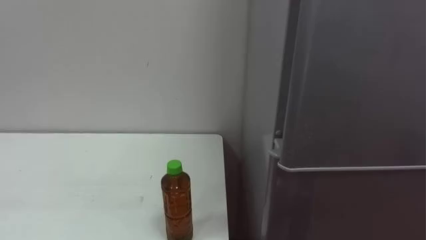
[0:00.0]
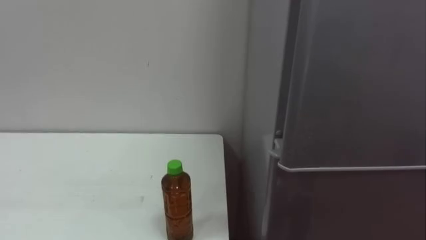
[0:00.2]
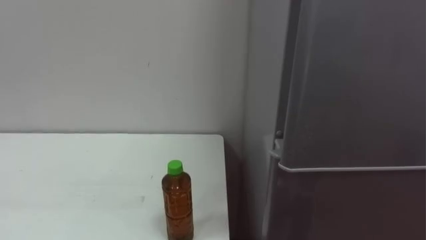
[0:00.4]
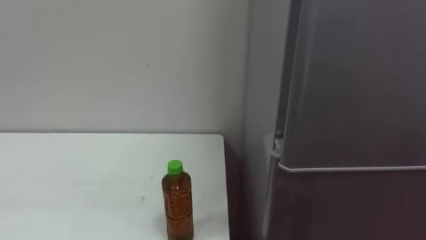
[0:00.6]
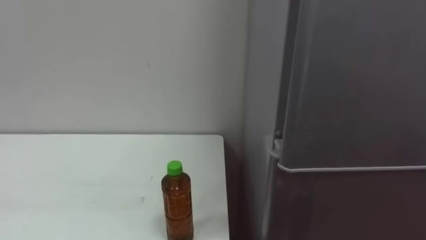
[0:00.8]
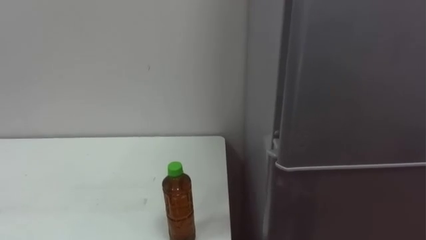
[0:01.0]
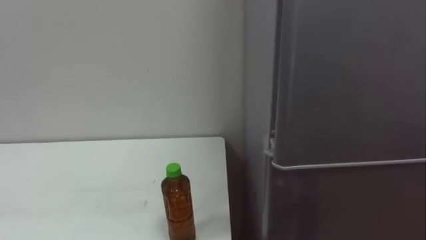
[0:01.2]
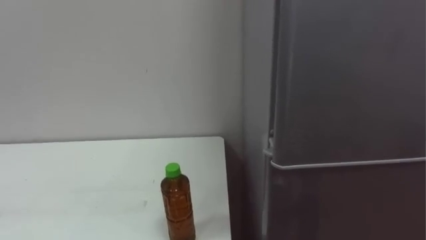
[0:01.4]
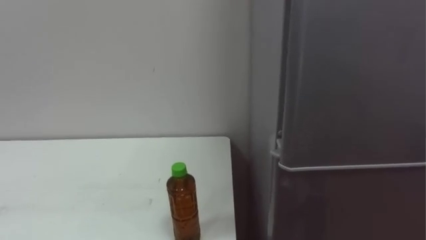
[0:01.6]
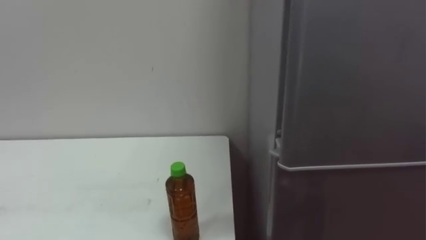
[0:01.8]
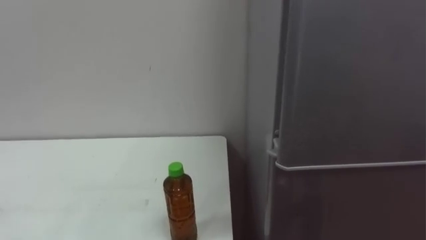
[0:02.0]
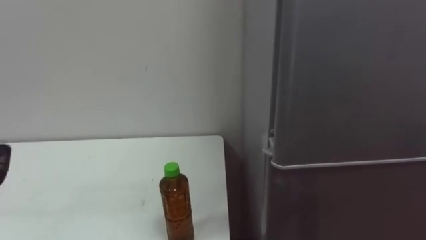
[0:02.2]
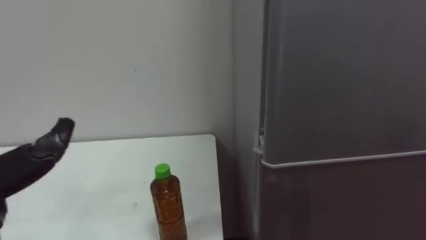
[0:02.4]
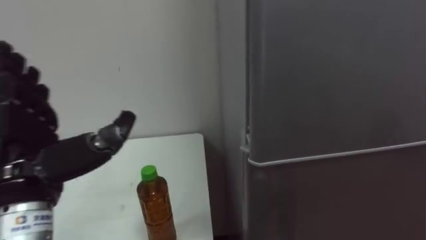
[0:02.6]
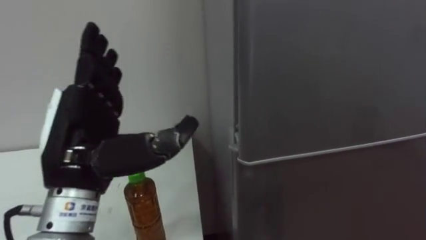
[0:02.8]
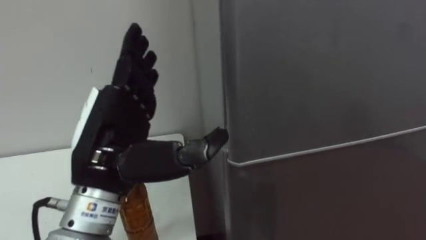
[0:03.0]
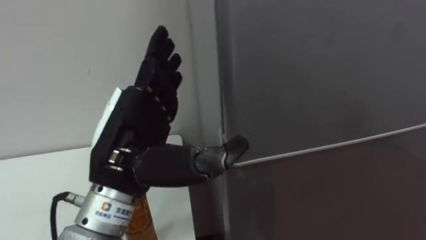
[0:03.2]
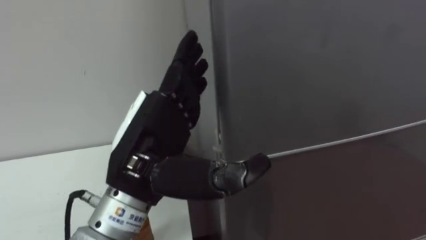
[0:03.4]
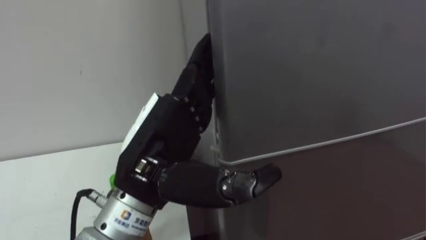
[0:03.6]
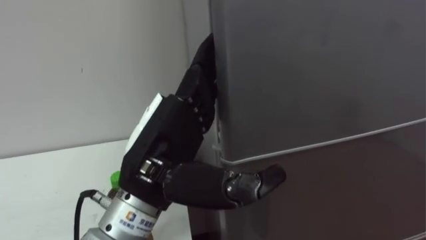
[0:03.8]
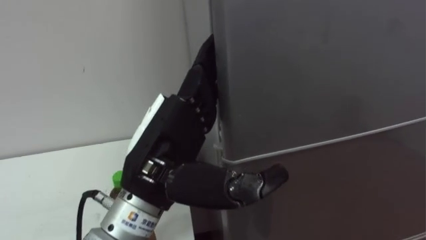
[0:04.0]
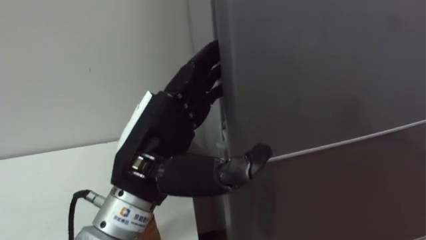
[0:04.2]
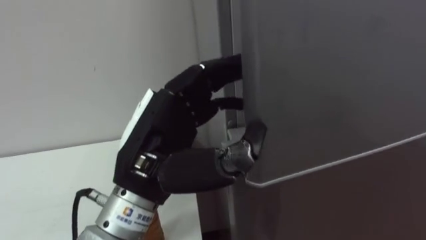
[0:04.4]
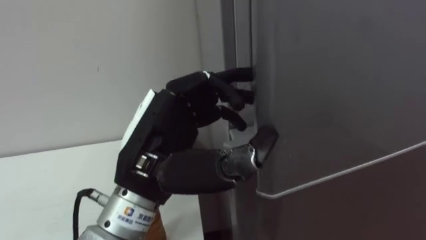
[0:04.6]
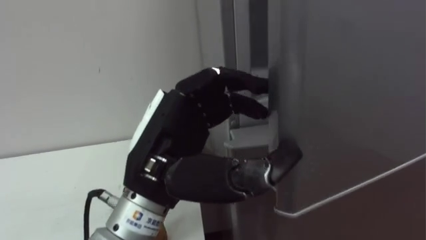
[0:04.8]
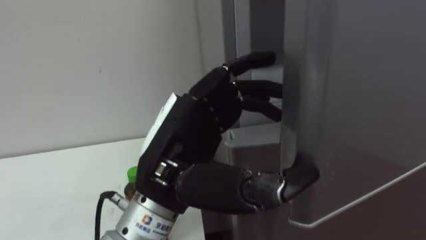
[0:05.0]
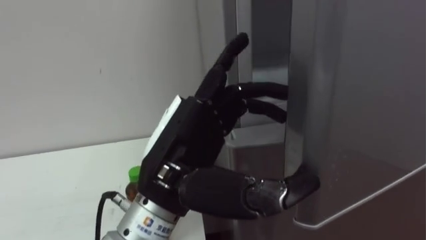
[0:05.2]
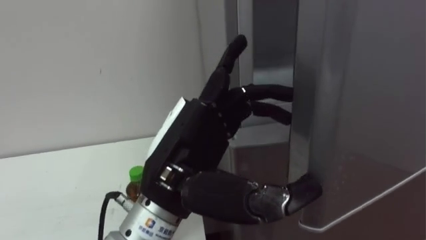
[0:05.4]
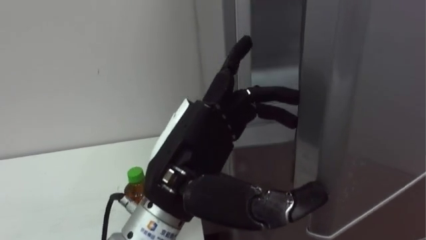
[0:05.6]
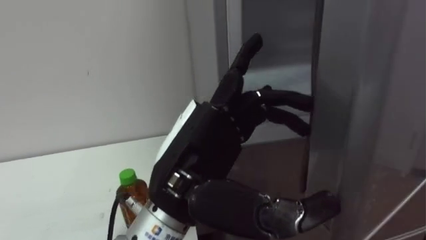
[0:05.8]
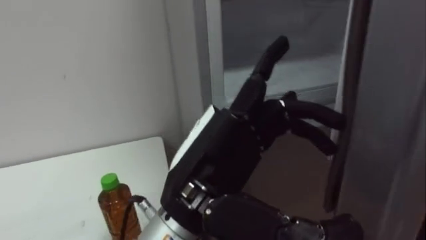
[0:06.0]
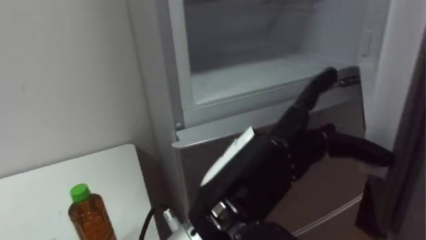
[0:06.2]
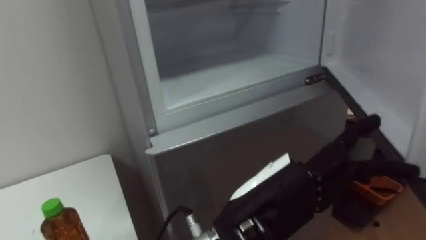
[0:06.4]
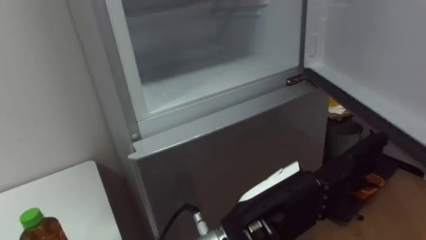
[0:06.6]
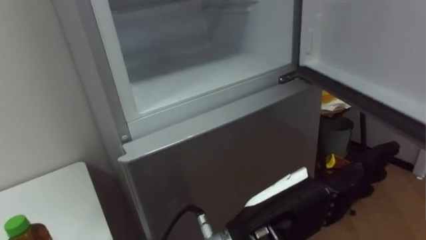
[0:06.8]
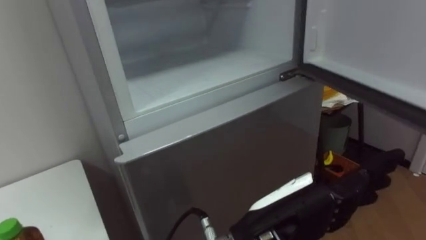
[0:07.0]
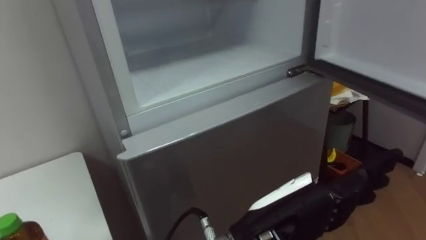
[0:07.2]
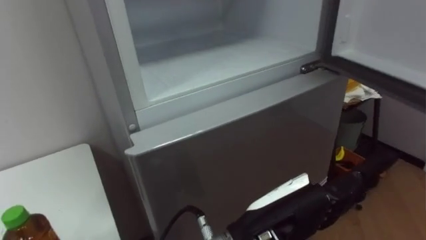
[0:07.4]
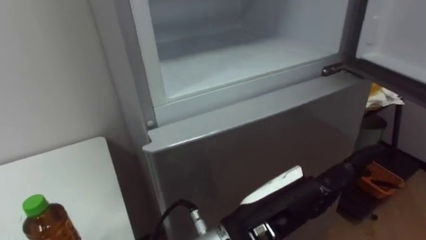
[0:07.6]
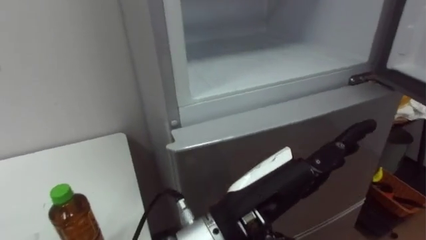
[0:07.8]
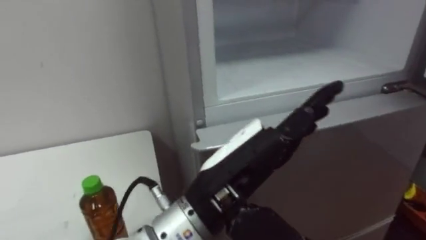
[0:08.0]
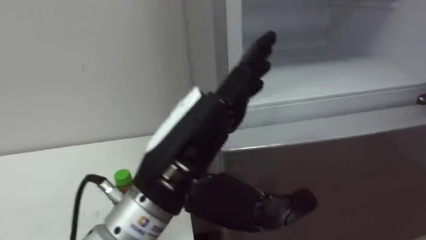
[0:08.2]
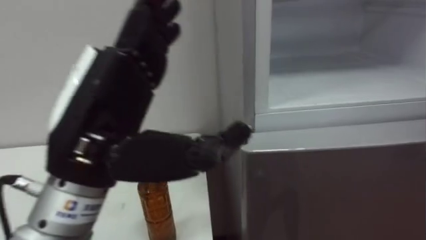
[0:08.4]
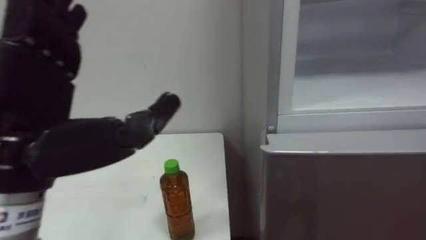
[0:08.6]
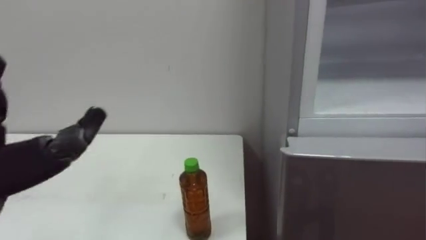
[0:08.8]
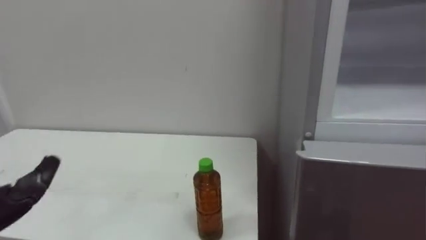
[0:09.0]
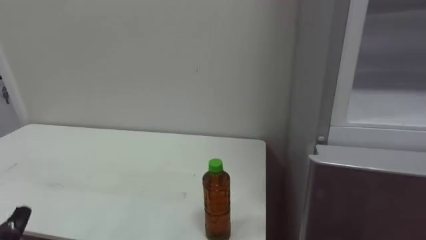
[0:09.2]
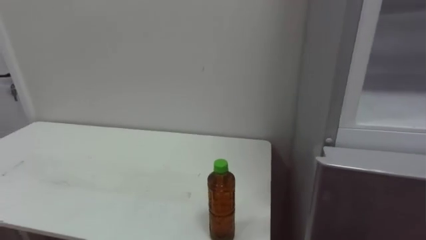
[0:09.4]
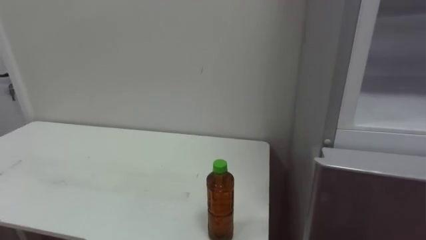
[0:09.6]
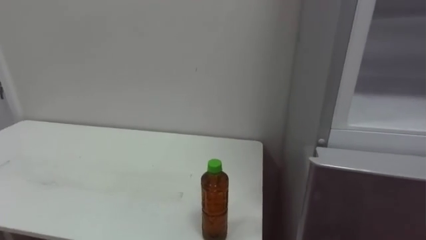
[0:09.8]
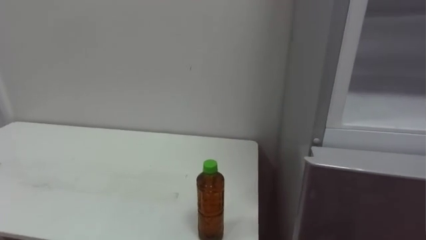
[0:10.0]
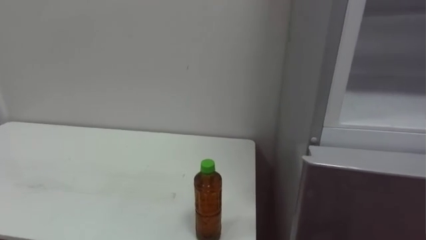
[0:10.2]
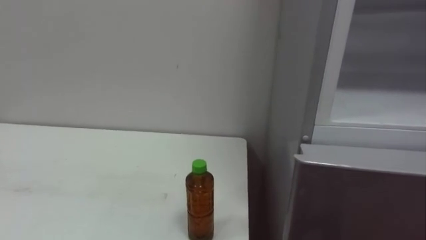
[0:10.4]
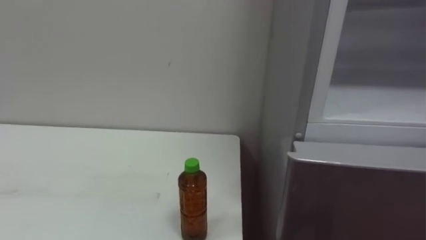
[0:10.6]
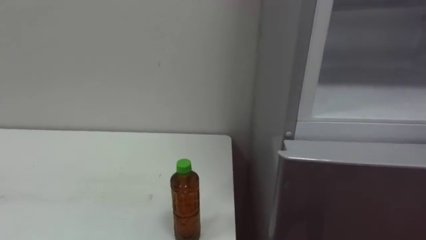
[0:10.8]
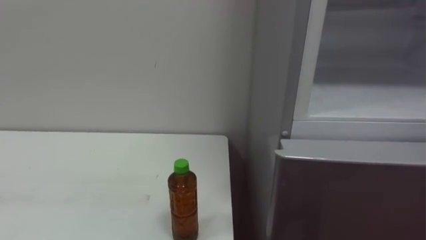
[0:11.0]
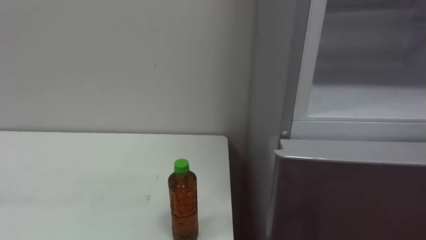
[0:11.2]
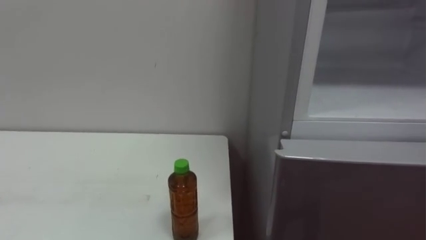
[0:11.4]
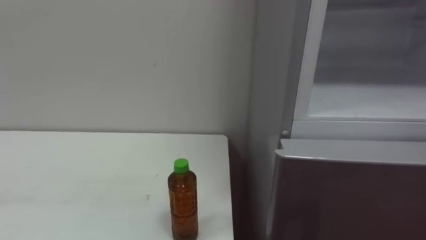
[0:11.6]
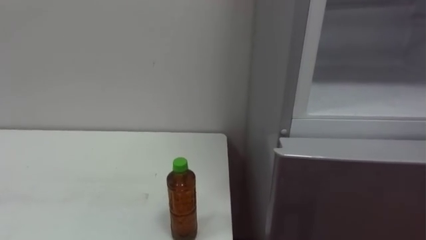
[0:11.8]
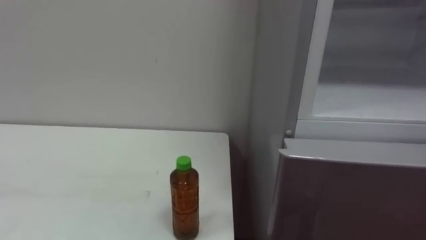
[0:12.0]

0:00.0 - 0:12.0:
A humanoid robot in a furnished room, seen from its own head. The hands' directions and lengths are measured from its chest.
Task of the whole recording: Open the upper refrigerator door, put the drink from the table into the refrigerator, and then close the refrigerator door.
0:03.0 - 0:04.4: The left hand travels to the right by some 5 cm, and closes its fingers.
0:04.4 - 0:06.0: The left hand heads to the right, covering roughly 5 cm, and opens up.
0:06.0 - 0:07.6: The left hand moves to the right and downward, some 10 cm.

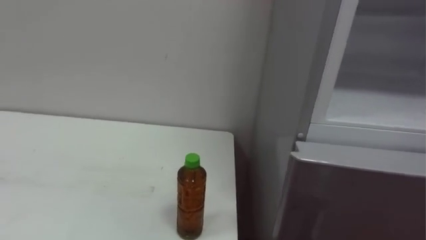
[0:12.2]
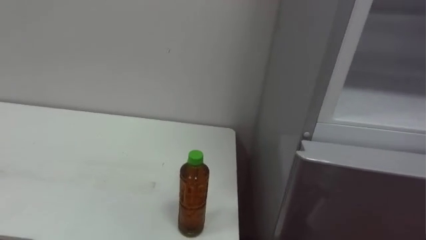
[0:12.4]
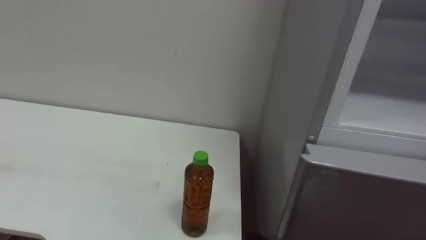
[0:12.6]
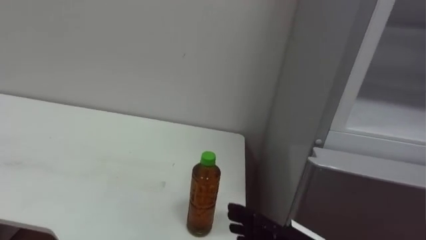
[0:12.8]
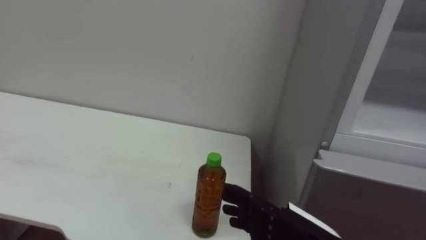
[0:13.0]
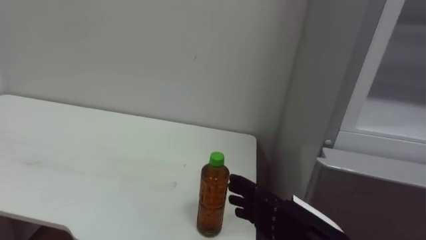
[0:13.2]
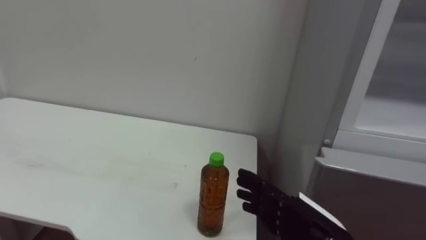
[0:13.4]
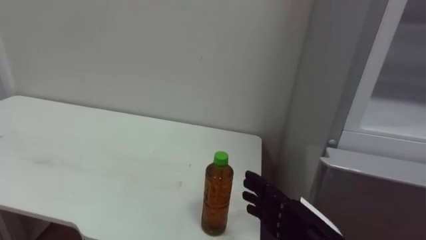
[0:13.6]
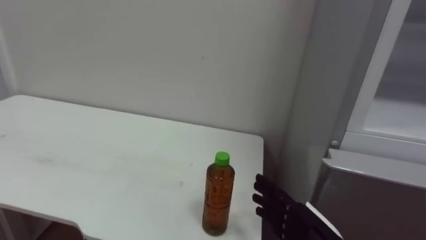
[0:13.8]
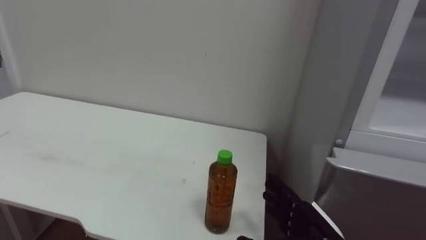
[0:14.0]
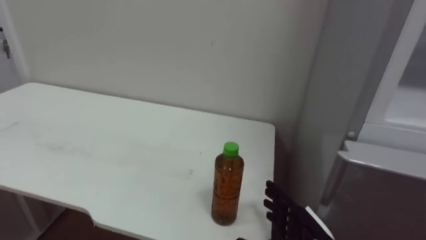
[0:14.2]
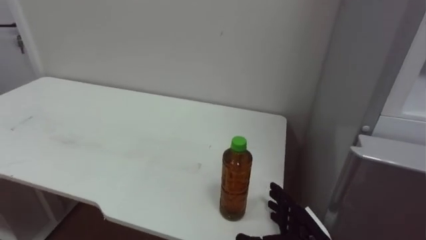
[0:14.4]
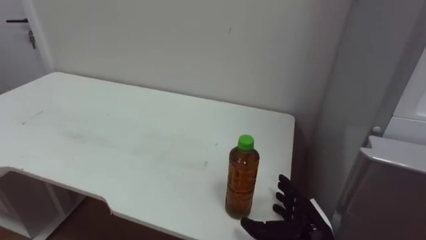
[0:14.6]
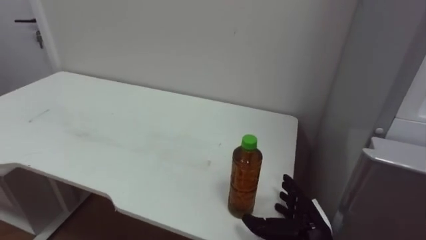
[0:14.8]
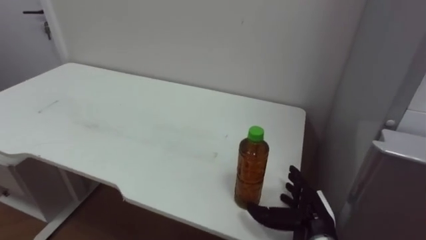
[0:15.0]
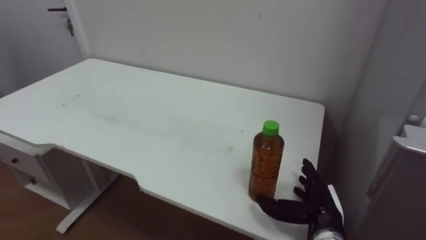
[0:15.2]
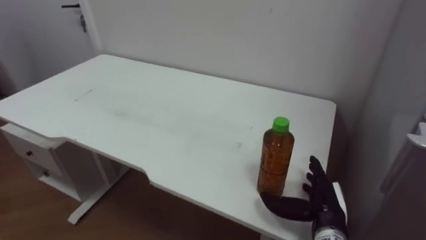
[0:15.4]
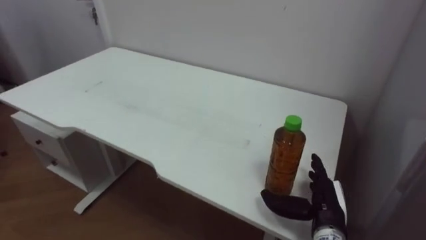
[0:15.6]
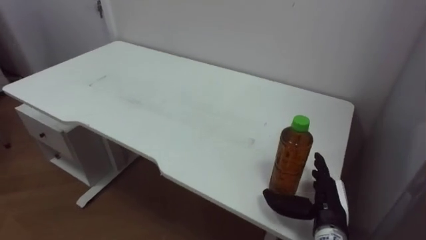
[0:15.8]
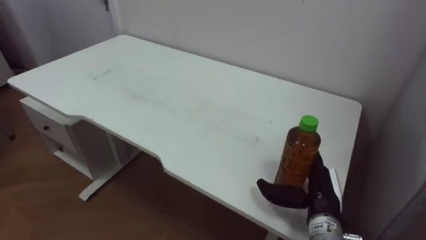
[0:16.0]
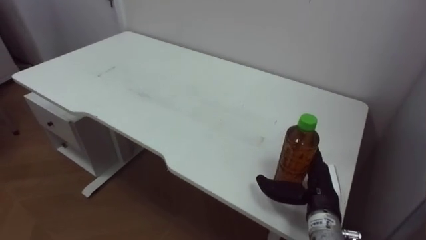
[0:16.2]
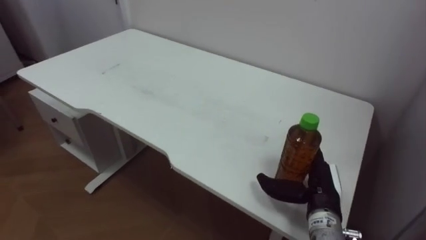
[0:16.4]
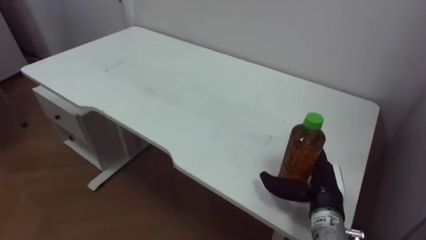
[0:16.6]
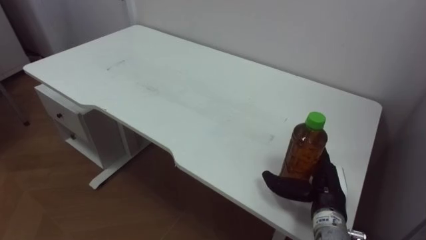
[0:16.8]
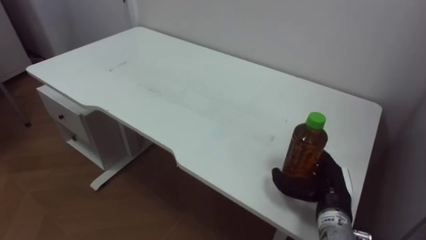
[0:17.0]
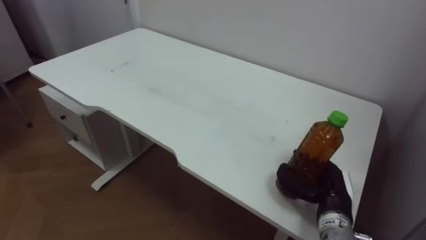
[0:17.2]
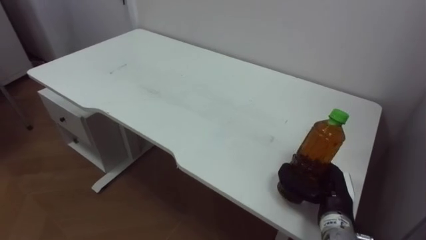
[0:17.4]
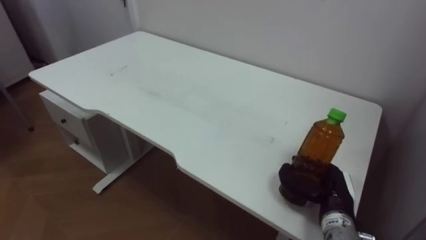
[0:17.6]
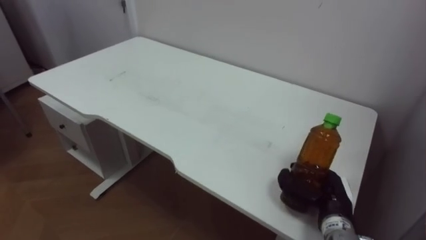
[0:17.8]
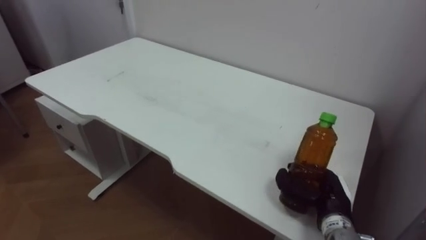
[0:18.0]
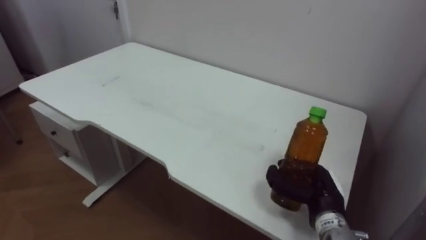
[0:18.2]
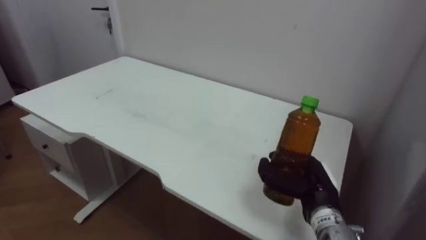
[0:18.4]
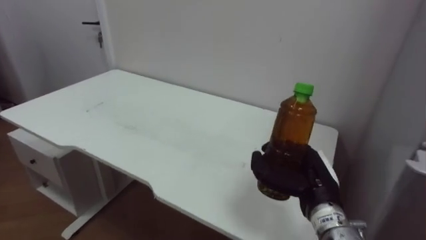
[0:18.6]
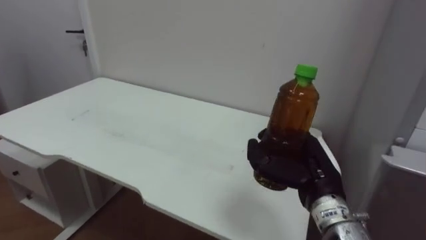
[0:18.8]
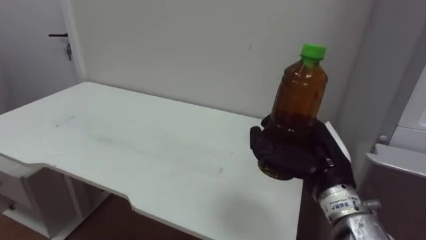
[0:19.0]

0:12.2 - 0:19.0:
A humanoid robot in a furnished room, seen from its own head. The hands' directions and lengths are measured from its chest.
Task of the whole recording: Open the upper refrigerator door, put the drink from the table into the refrigerator, and then close the refrigerator door.
0:13.6 - 0:15.0: The right hand shifts some 10 cm forward and downward.
0:15.0 - 0:16.2: The right hand ends up some 5 cm from where it was.
0:16.2 - 0:17.6: The right hand closes.
0:17.6 - 0:19.0: The right hand moves upward, approximately 10 cm.
